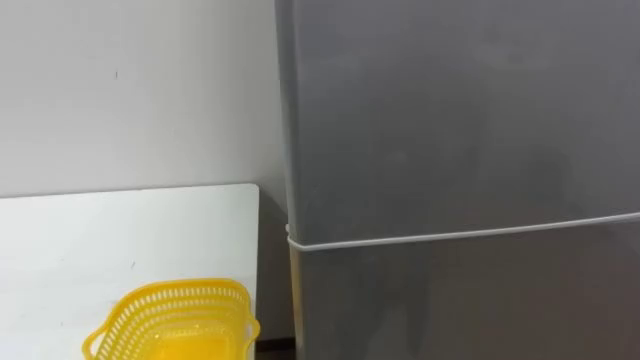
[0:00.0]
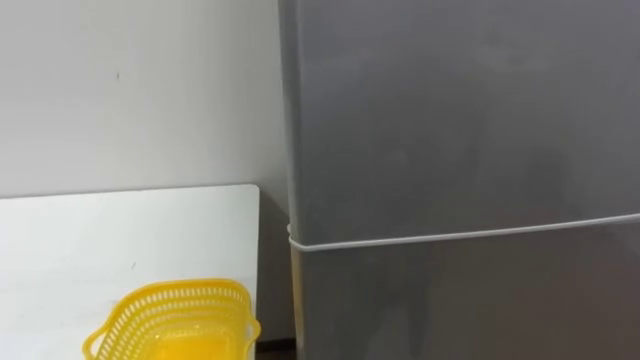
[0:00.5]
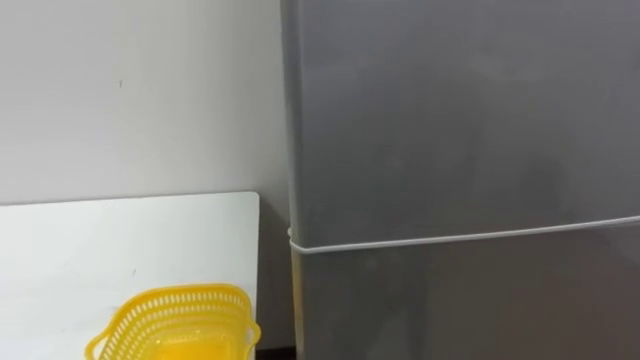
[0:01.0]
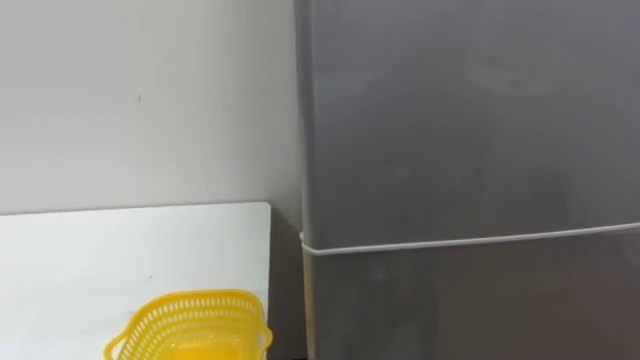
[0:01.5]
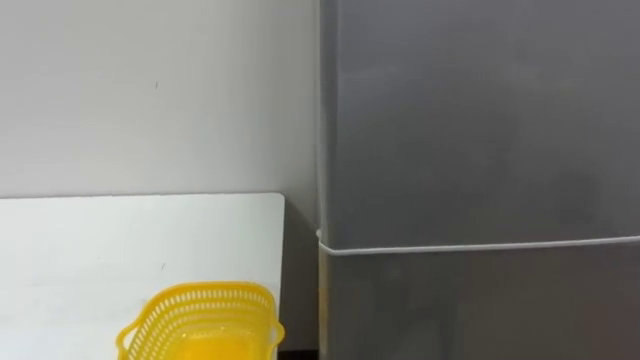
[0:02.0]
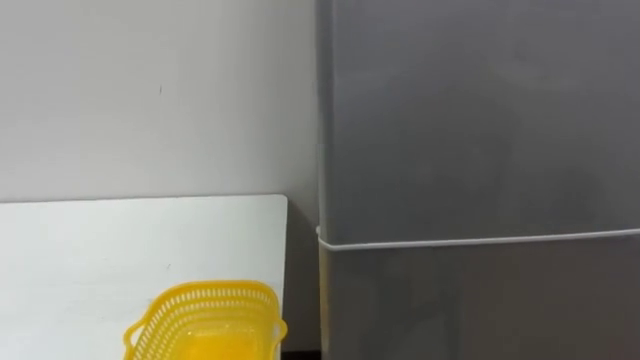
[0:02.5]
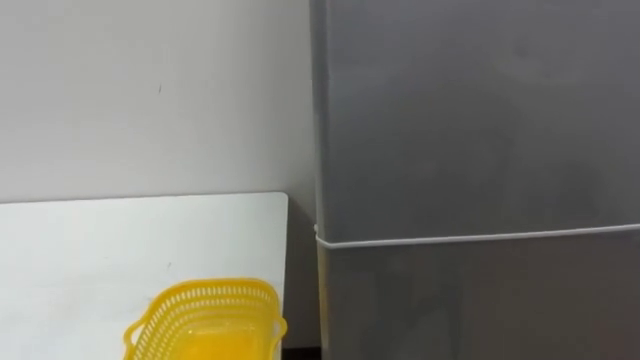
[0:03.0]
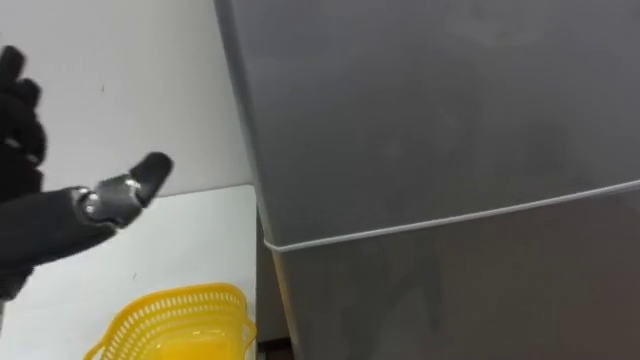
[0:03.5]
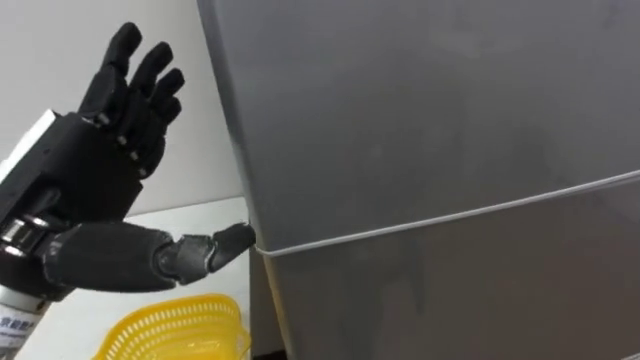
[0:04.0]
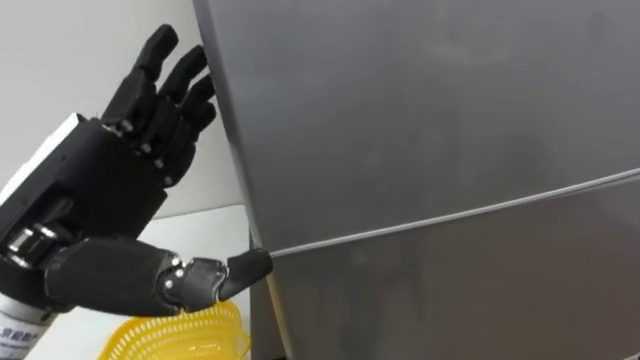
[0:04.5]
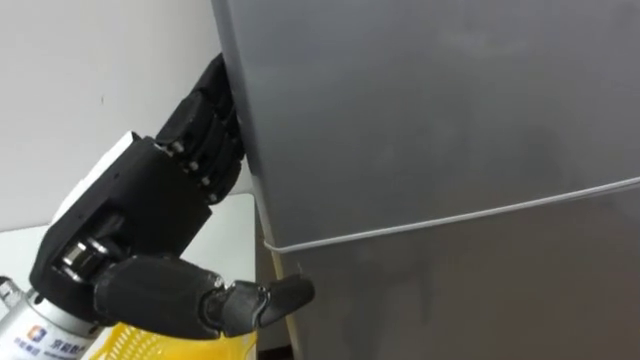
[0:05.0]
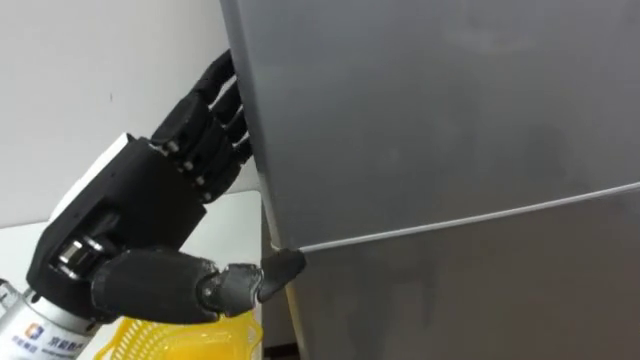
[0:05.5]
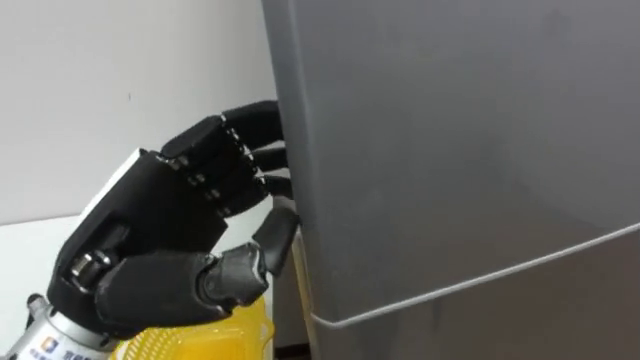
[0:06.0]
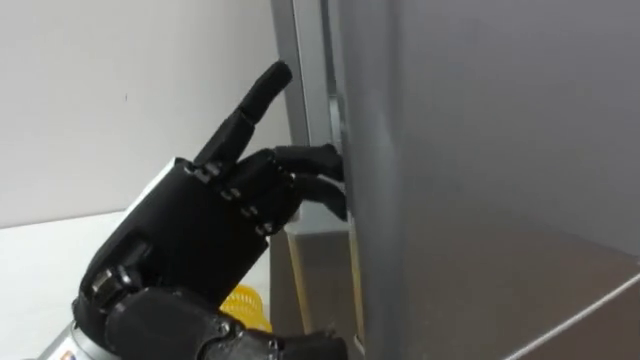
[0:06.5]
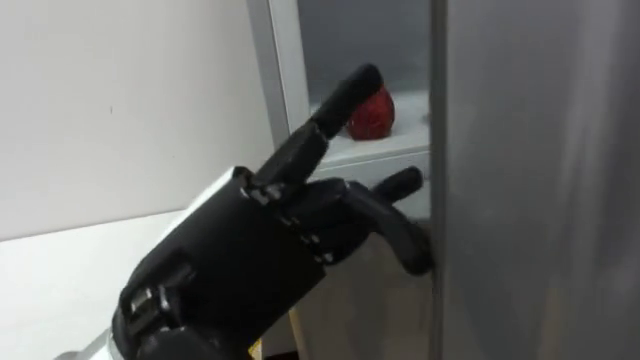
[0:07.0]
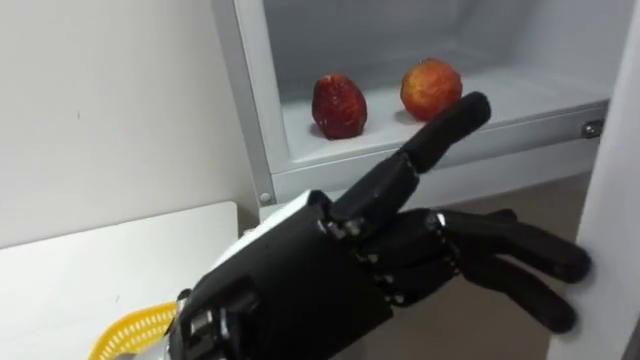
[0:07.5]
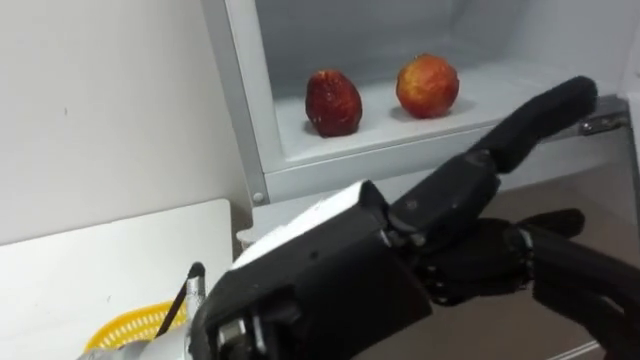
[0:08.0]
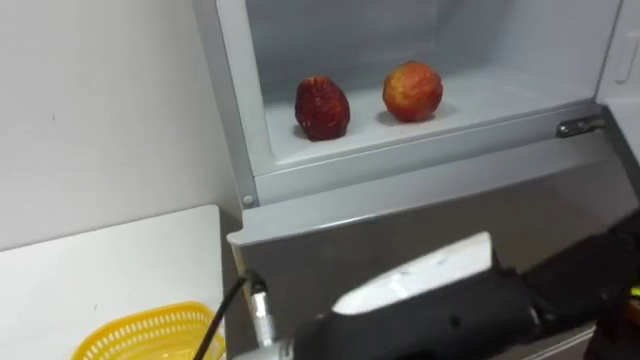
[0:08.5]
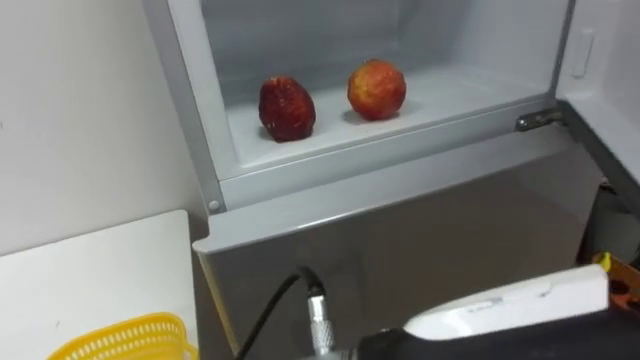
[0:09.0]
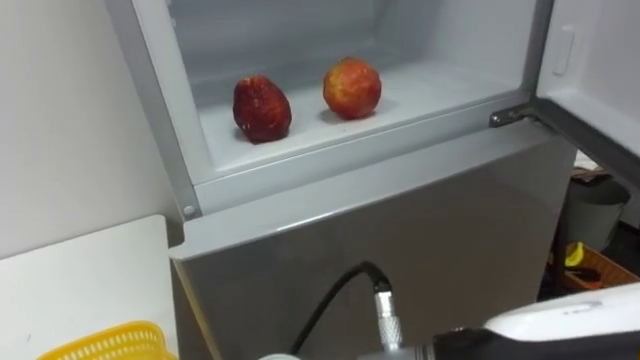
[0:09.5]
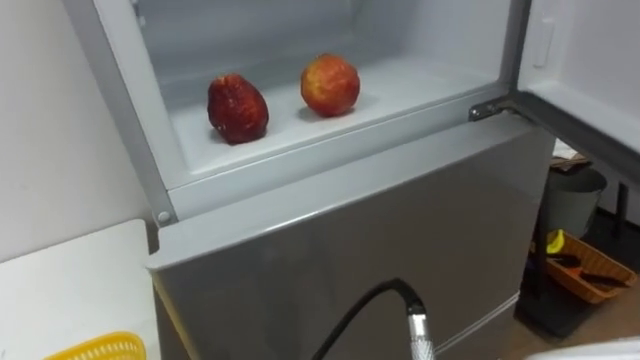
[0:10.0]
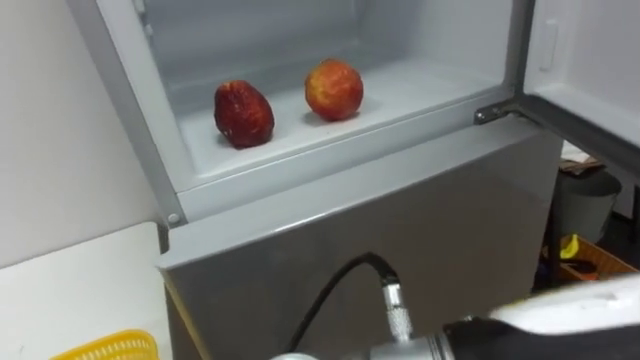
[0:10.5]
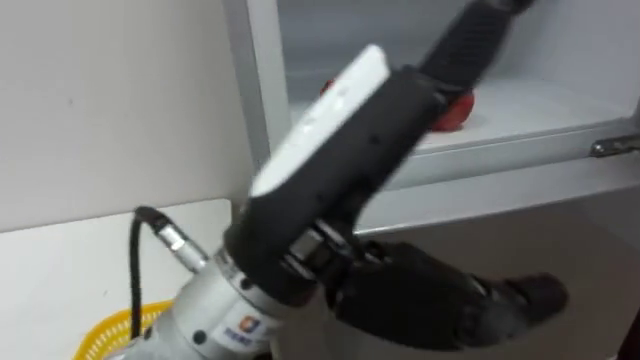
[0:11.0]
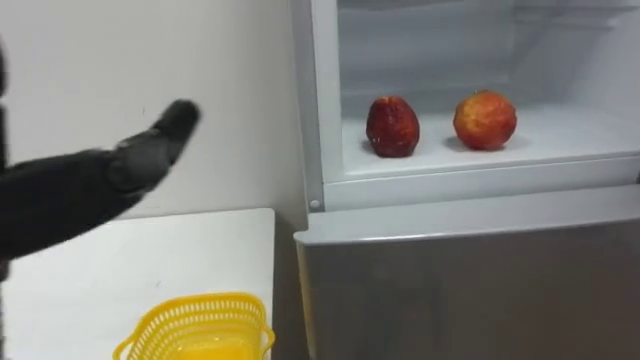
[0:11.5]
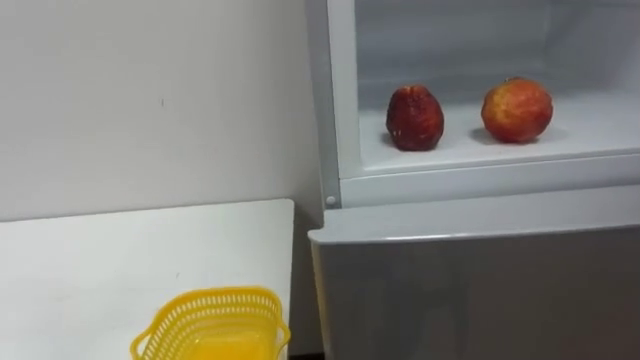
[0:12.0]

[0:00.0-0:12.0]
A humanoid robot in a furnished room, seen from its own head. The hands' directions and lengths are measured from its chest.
Task of the whole recording: Open the refrigerator door, take out the apple and the pomegranate, place them in the fruit basket on the left, and close the refrigerator door.
0:04.0 to 0:06.0: The left hand travels to the right by approximately 5 cm.
0:06.0 to 0:08.0: The left hand shifts approximately 15 cm to the right and backward.

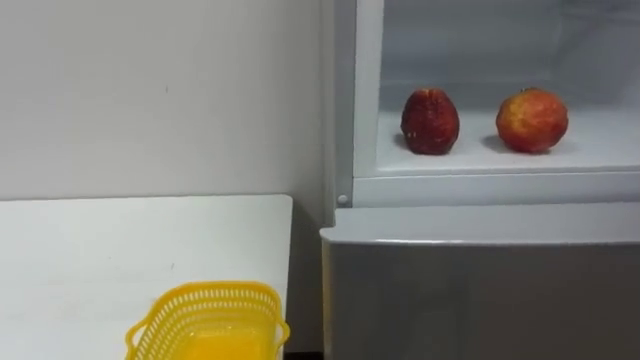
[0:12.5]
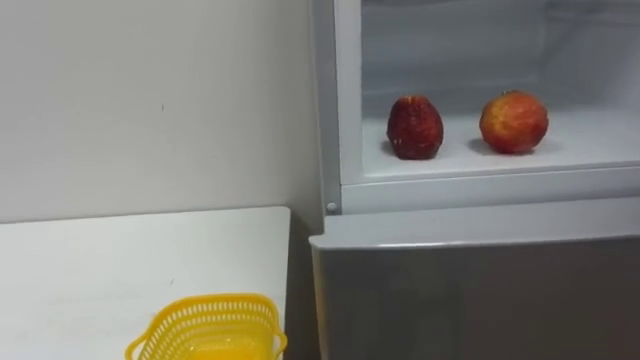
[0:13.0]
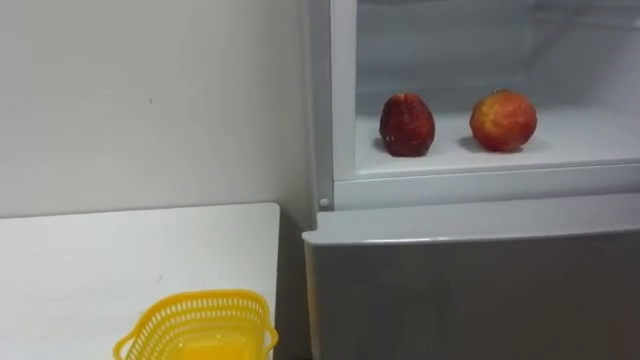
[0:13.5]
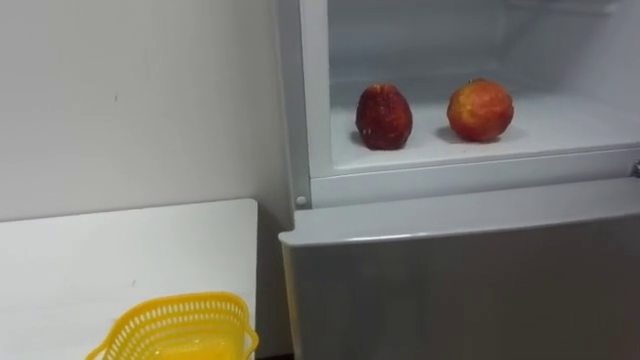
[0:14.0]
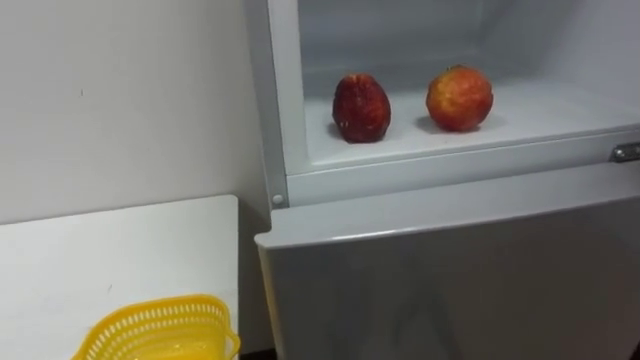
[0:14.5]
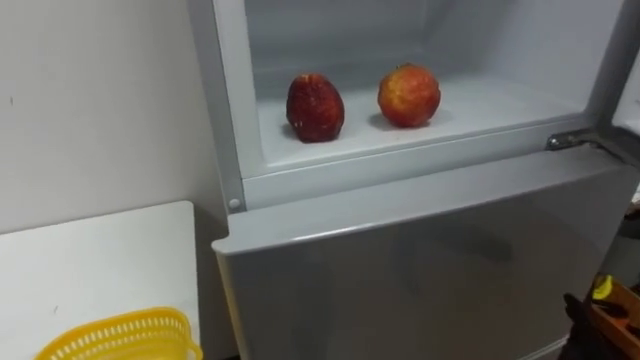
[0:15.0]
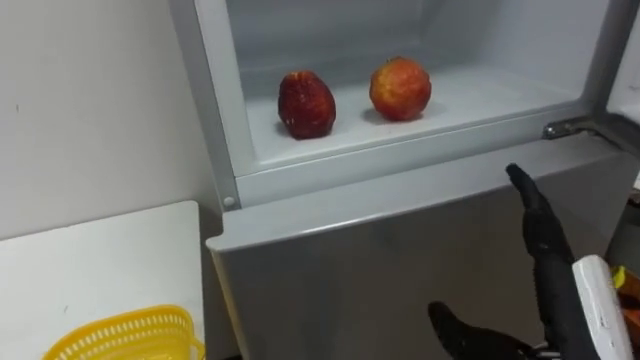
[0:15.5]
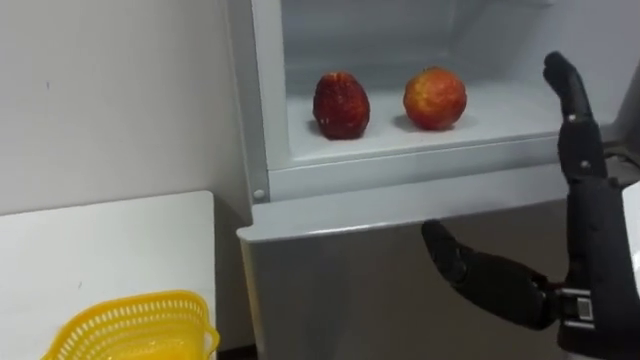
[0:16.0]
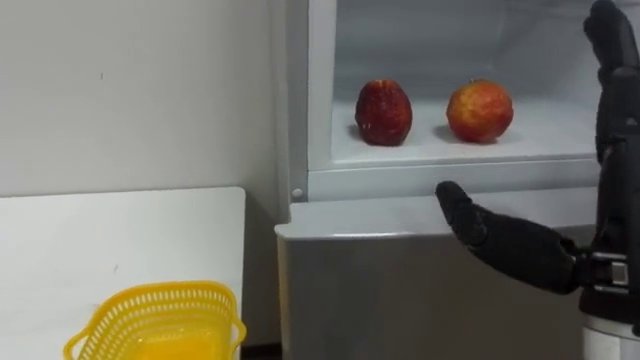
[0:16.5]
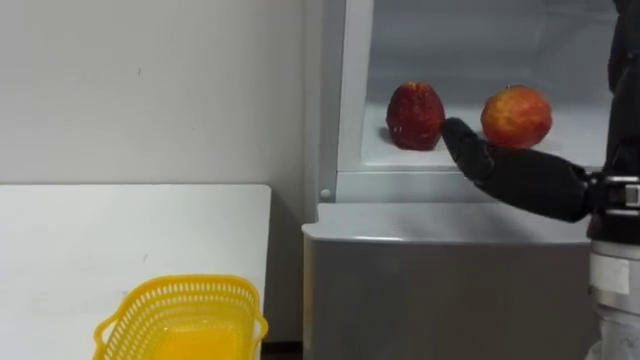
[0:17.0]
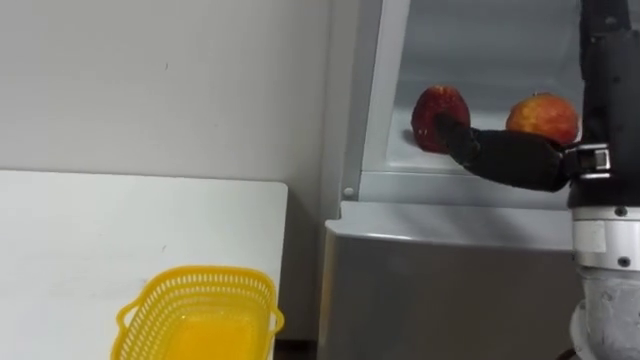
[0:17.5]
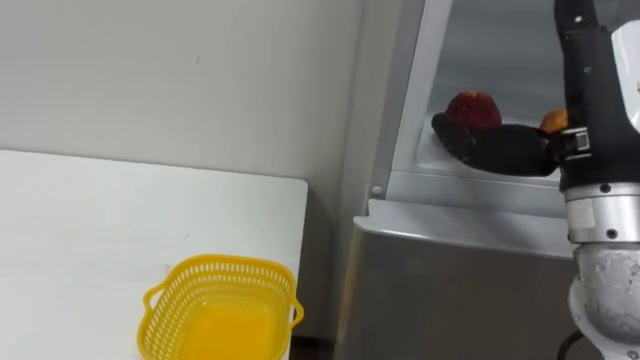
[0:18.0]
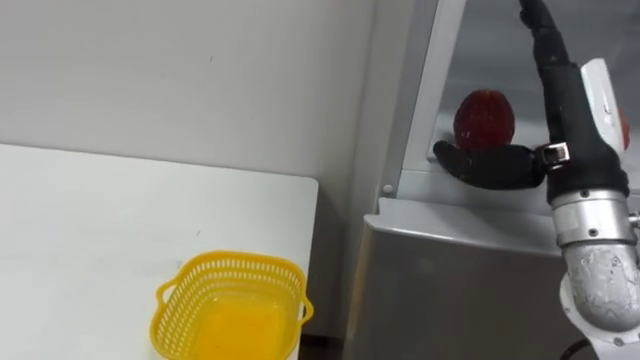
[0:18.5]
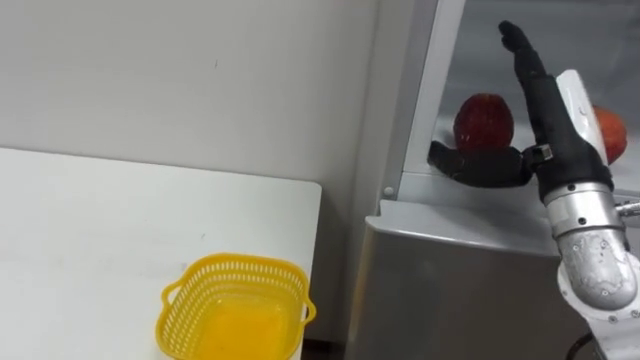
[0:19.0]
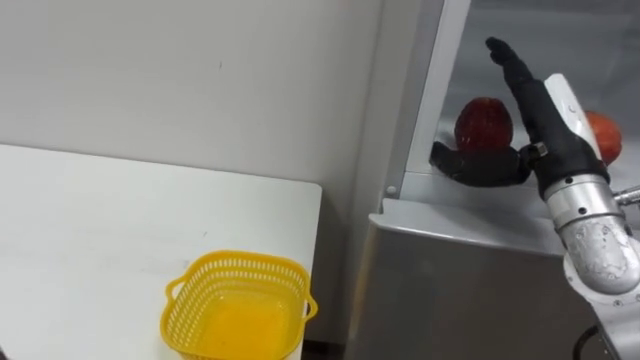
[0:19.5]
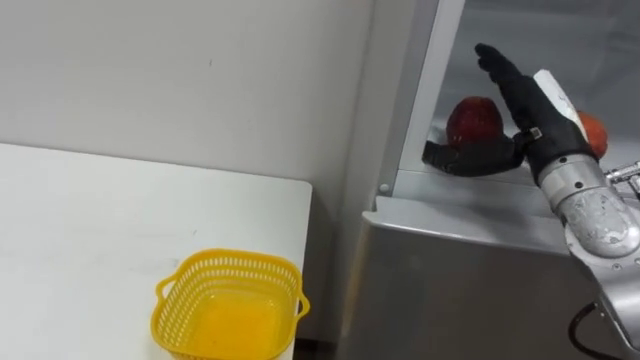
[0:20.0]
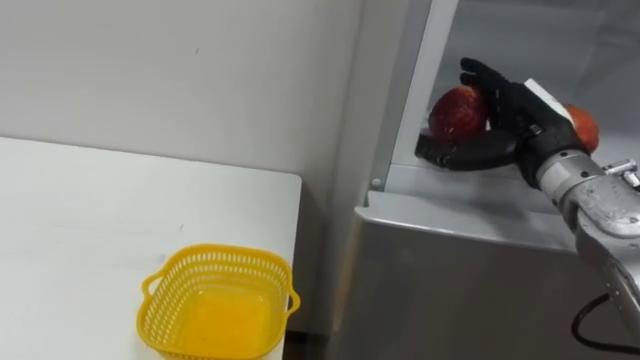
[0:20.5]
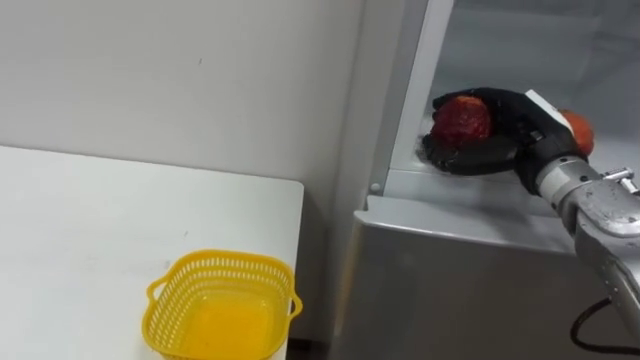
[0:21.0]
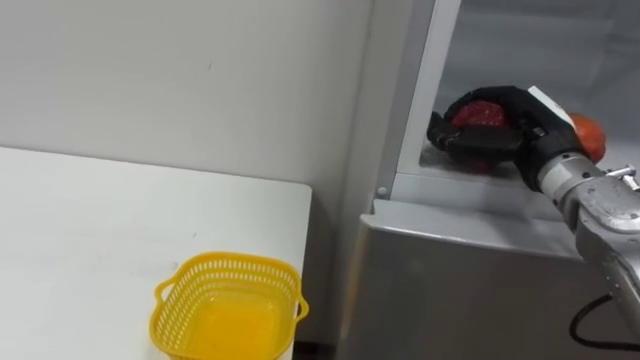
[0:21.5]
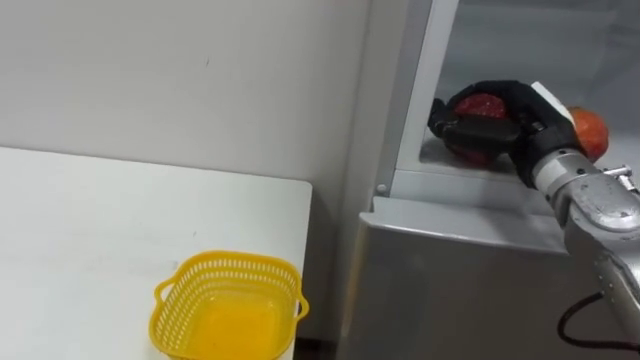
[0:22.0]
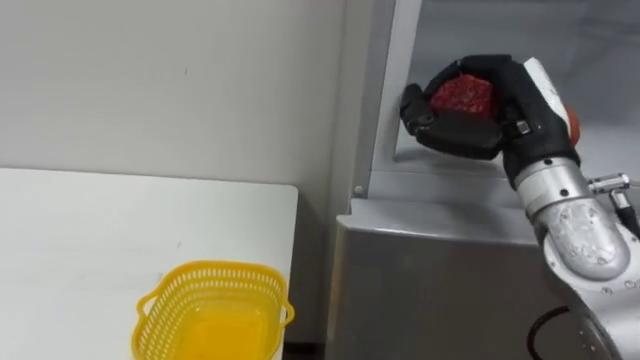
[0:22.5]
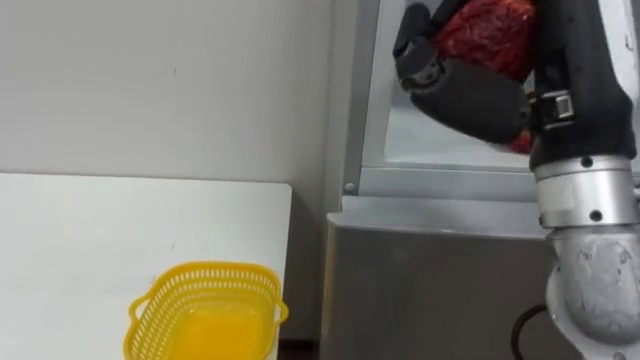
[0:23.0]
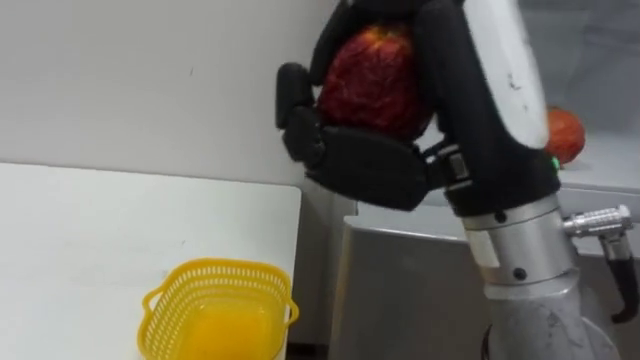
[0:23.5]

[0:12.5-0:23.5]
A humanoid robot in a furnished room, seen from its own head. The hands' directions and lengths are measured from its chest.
Task of the whole recording: Open the refrigerator door, take out the apple and the pomegranate, place them in the fruit basket on the left, and close the refrigerator door.
0:16.0 to 0:18.0: The right hand goes roughly 10 cm forward and upward.
0:18.0 to 0:20.0: The right hand travels forward and downward by roughly 10 cm.
0:20.0 to 0:21.5: The right hand closes.
0:21.5 to 0:23.5: The right hand moves backward, to the left and upward, approximately 25 cm.
